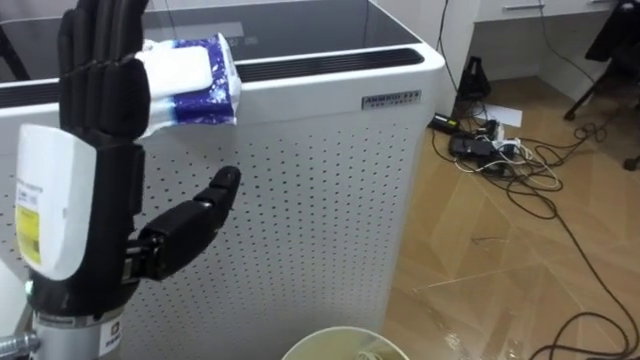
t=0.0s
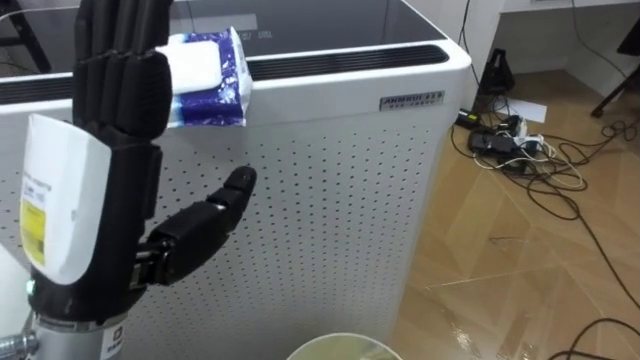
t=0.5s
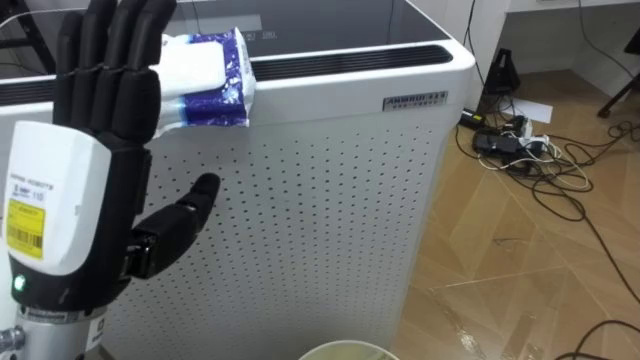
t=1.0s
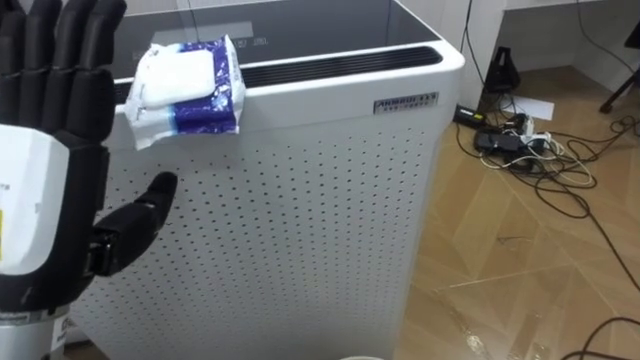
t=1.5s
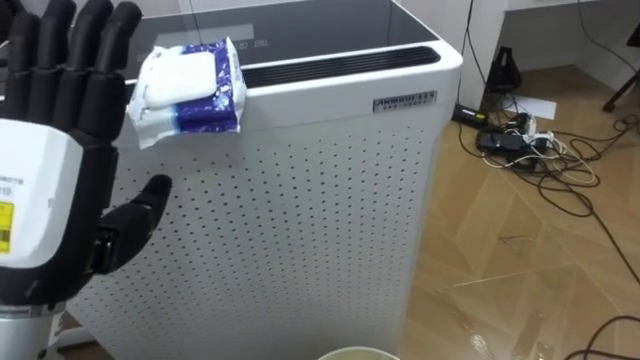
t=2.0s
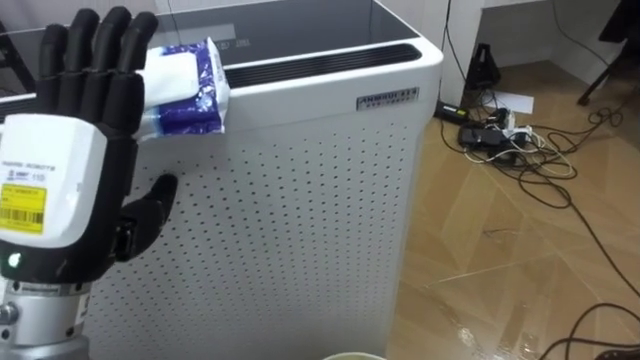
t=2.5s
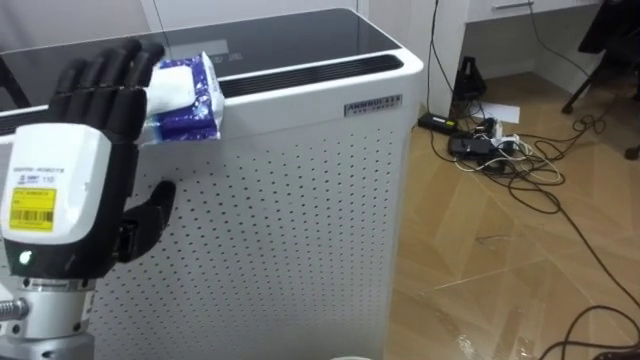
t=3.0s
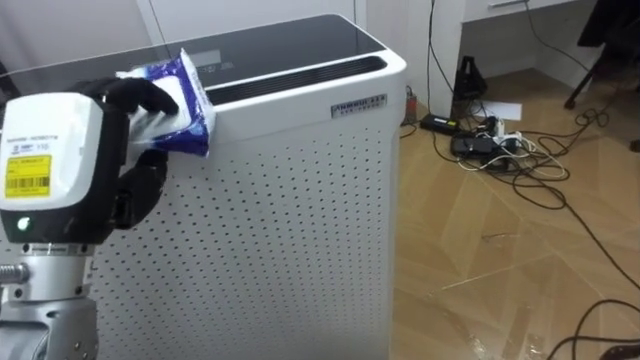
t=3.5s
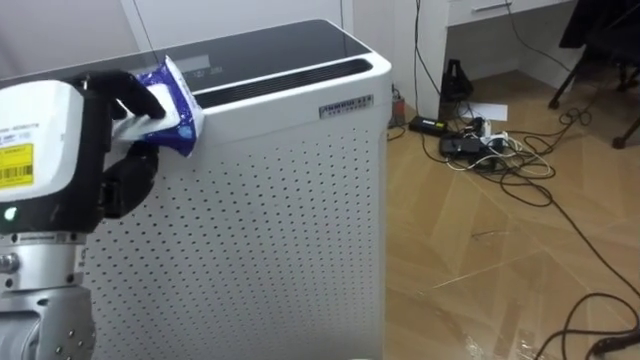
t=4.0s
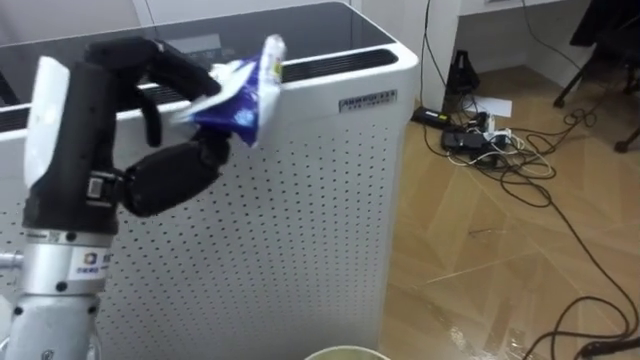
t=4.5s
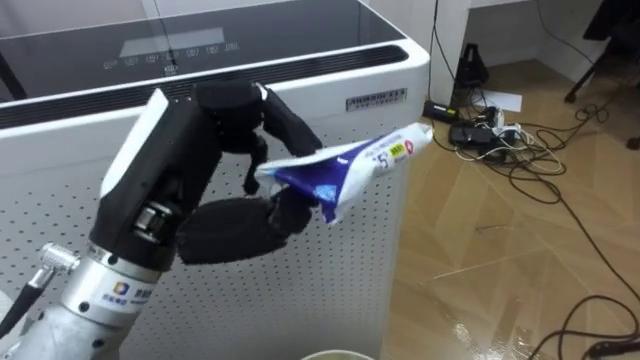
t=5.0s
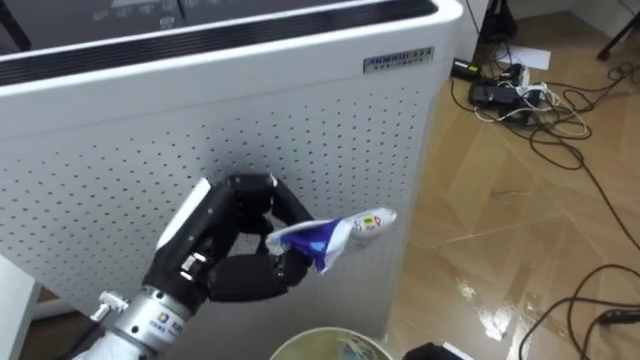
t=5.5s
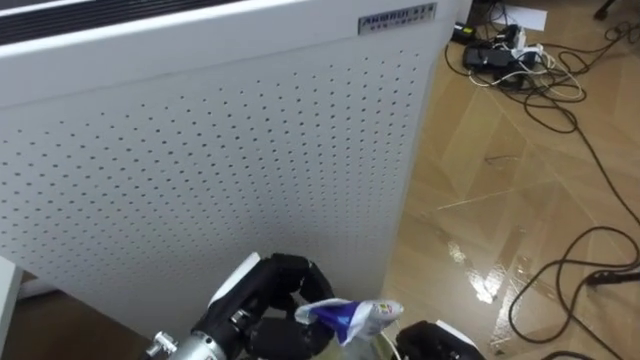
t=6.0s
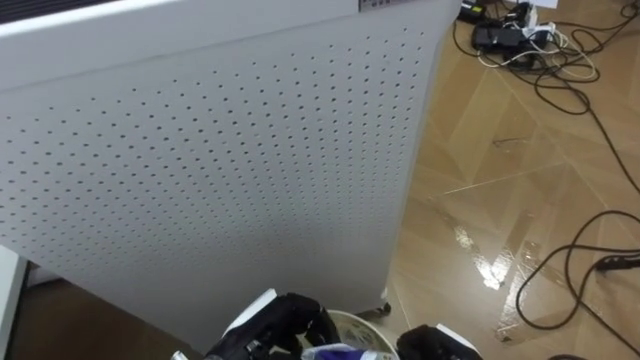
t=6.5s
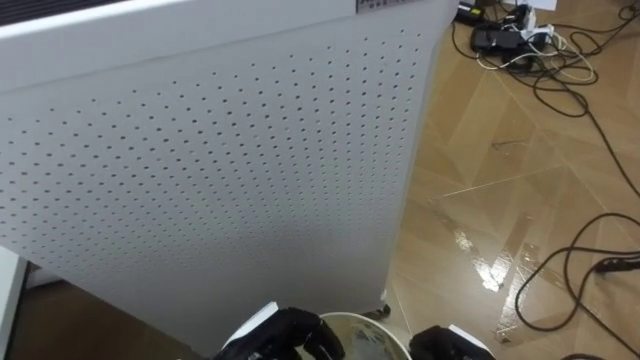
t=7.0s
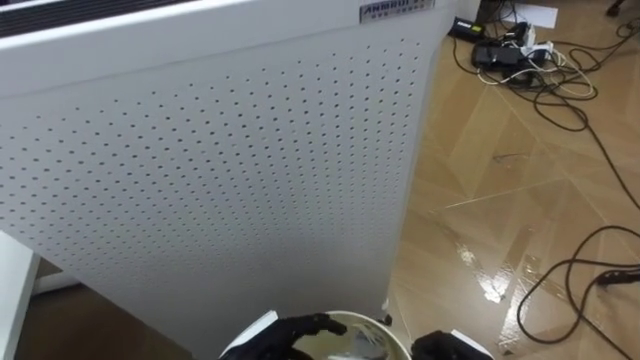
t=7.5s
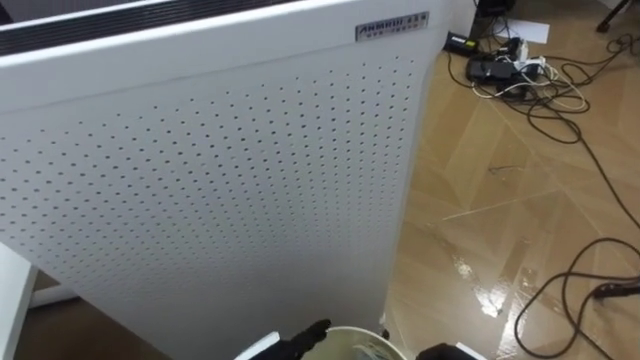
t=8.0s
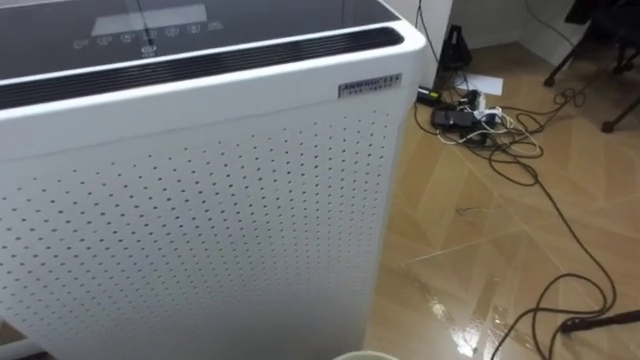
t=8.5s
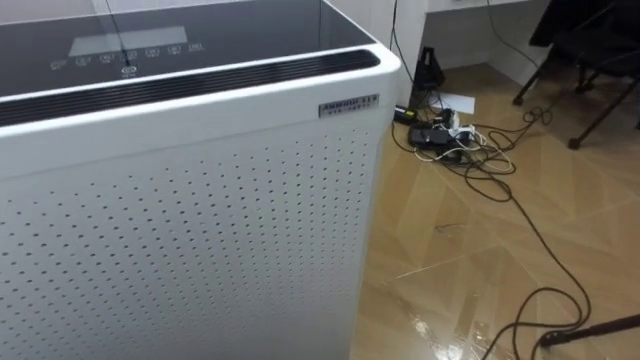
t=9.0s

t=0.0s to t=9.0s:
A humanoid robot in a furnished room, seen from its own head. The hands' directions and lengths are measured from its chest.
Task of the whole recording: Pick up the light blue package, the candy box, and the dark blue package separately, and put them into the trash can held in your right hand.
t=2.0s to t=4.5s: The left hand closes.
t=4.5s to t=7.0s: The left hand travels downward by about 30 cm.

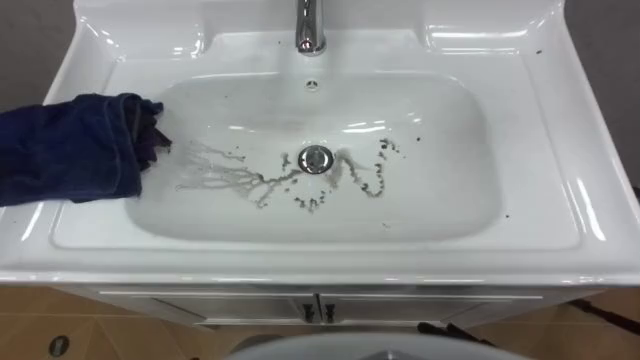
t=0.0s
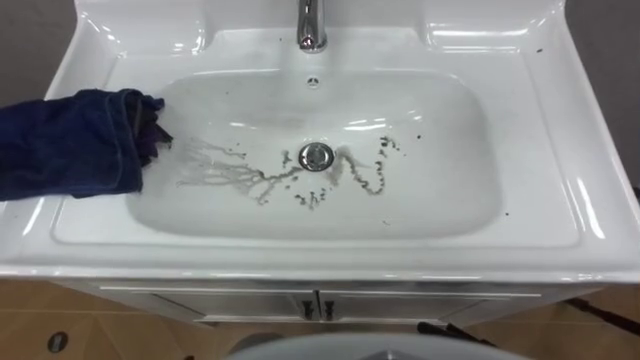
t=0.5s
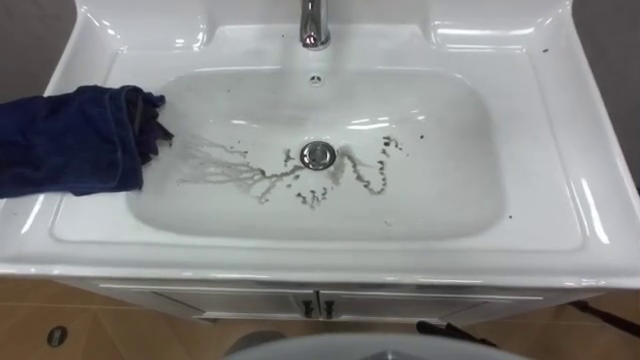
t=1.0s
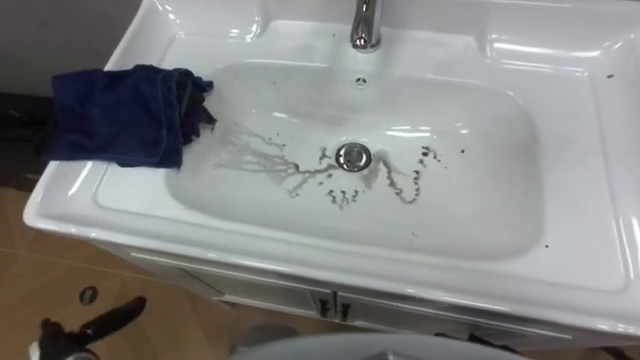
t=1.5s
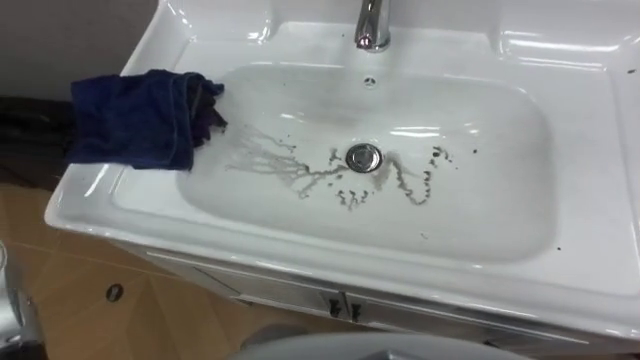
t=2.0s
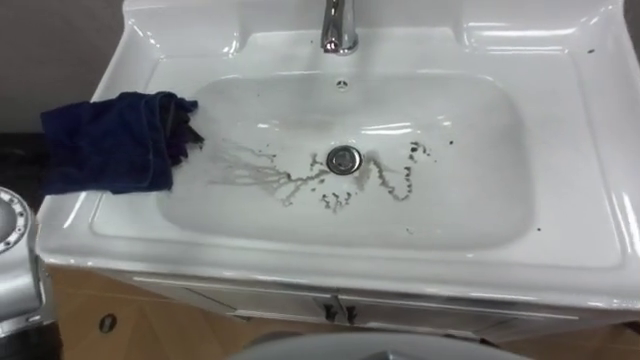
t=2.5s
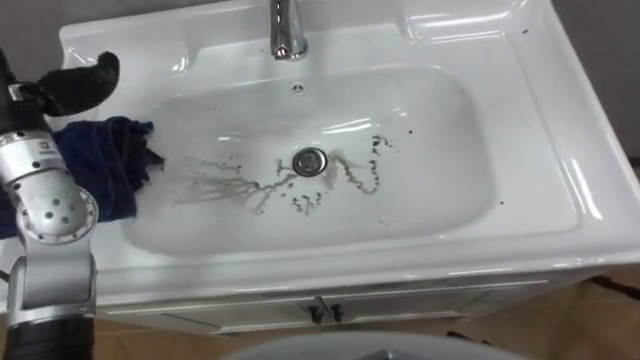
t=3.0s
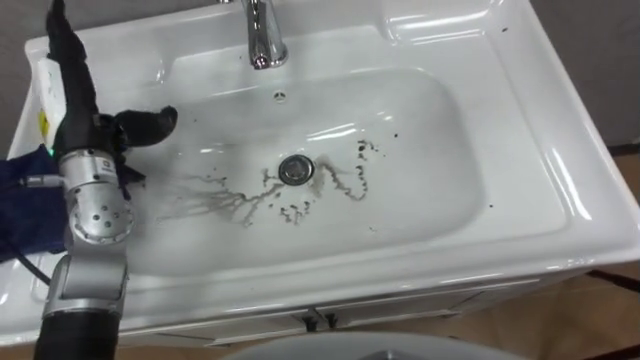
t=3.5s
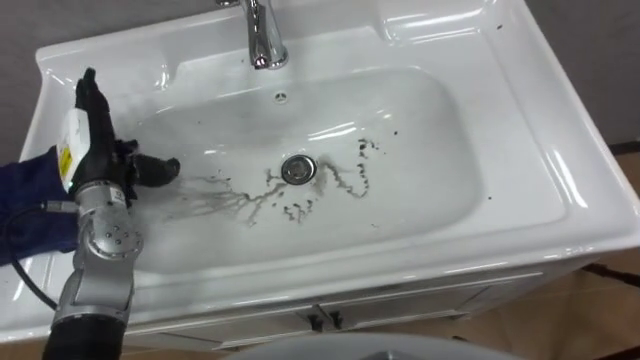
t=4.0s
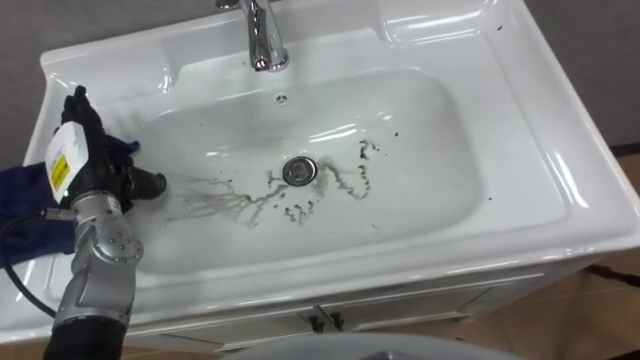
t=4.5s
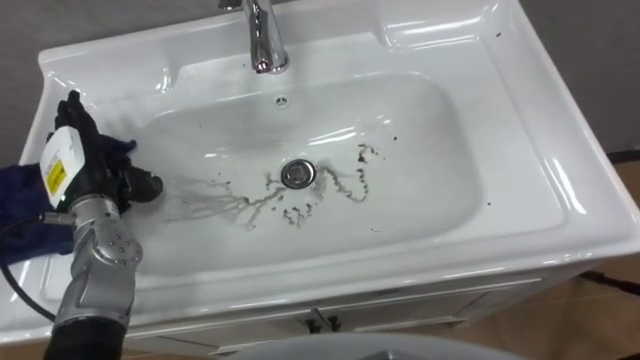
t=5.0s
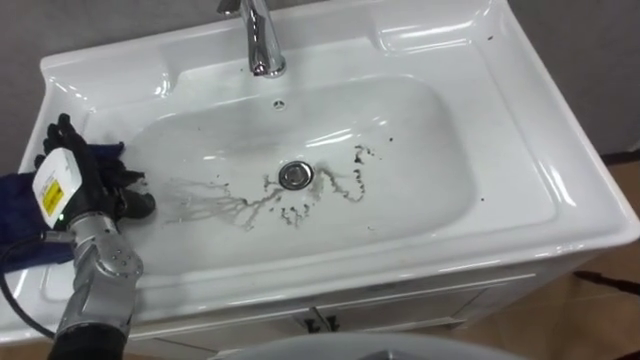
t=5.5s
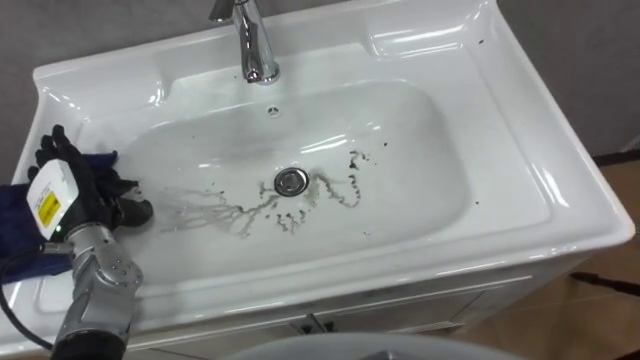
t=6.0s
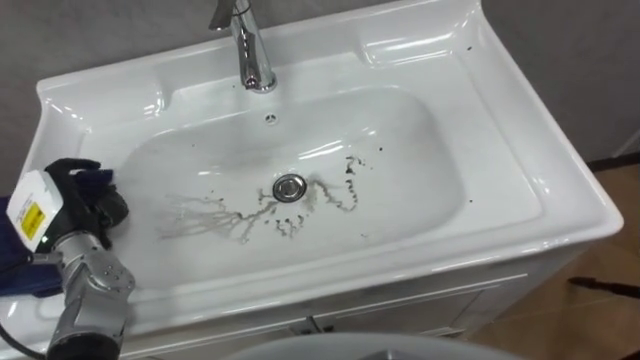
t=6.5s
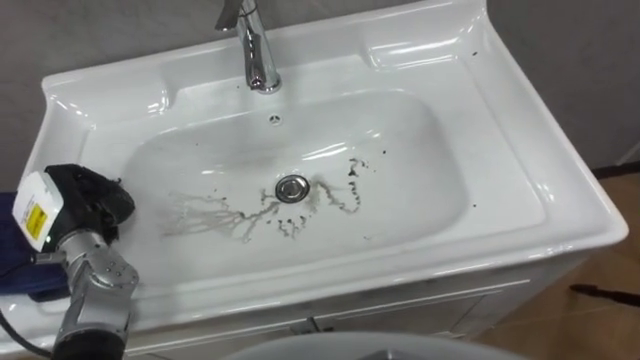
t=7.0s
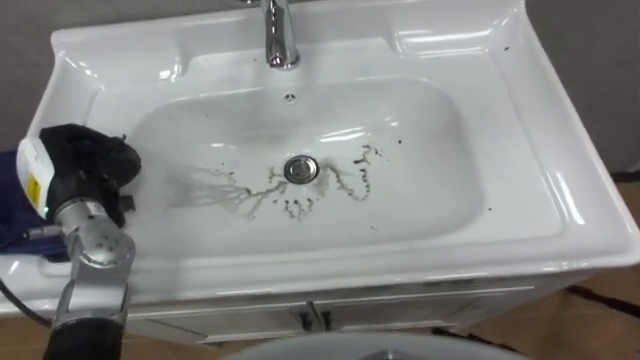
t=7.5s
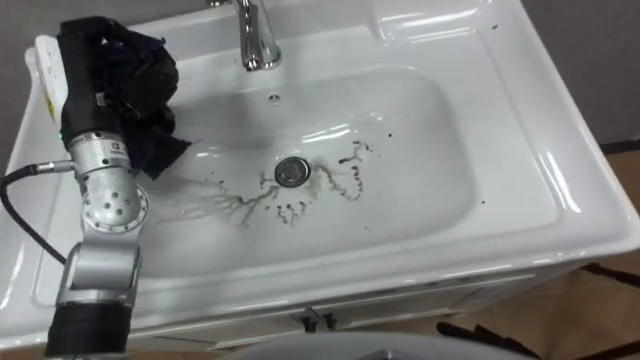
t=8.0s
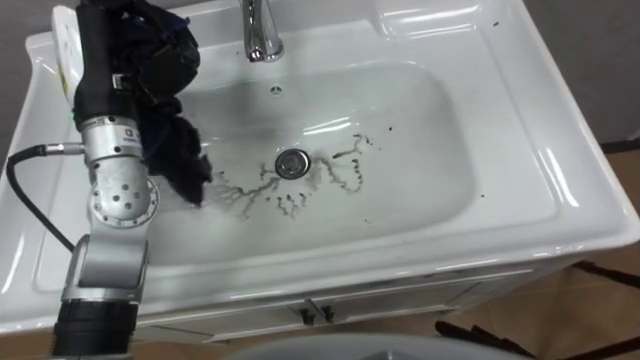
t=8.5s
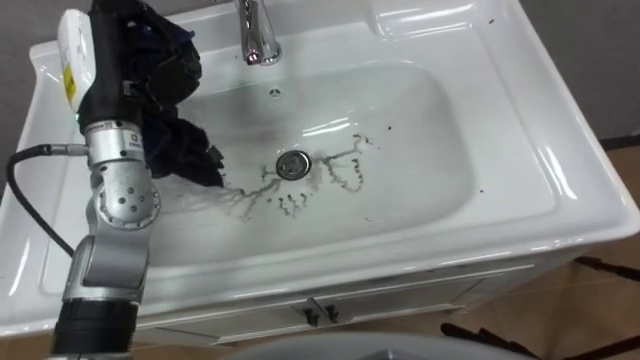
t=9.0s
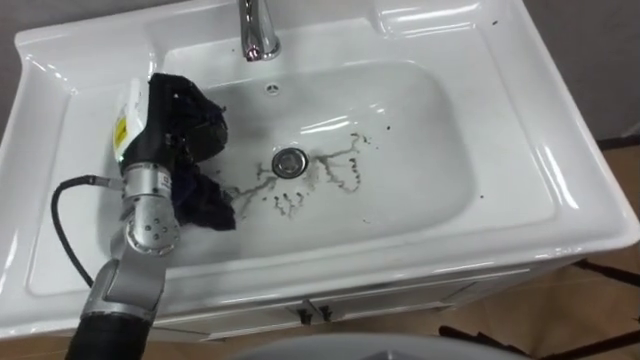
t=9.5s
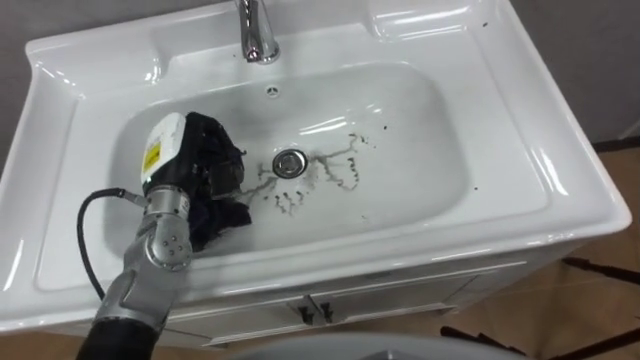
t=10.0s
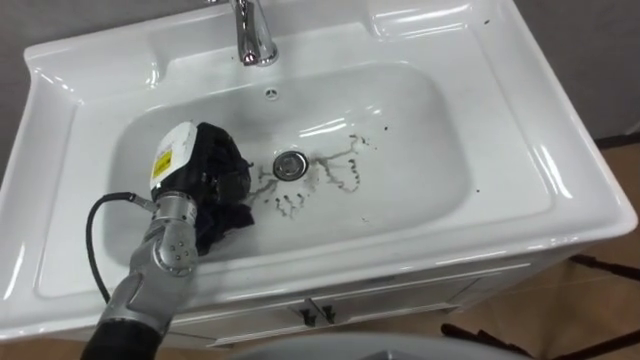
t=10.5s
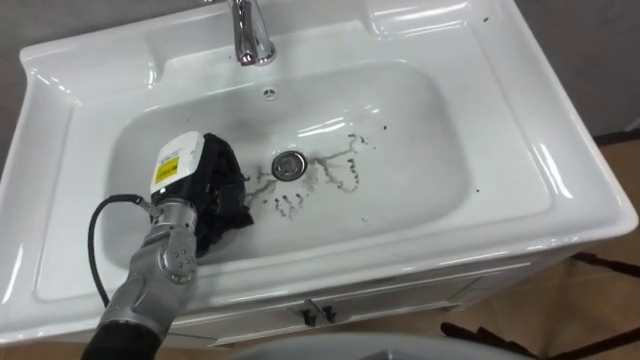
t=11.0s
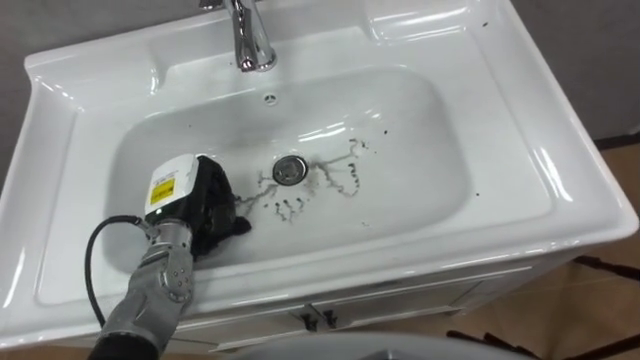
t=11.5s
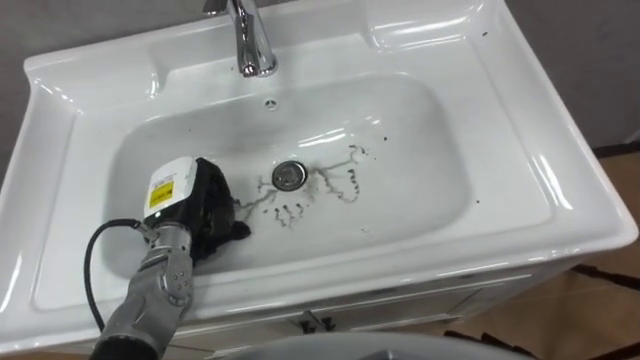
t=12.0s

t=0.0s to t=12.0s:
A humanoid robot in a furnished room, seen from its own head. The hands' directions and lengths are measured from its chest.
Task of the whole recording: Use the cloth on the right to wipe away the black stain in the sink.
t=4.0s to t=6.0s: The left hand heads backward, covering some 5 cm.
t=6.0s to t=8.0s: The left hand heads upward, forward and to the right, covering about 20 cm, and closes its fingers.
t=8.0s to t=10.0s: The left hand is displaced downward and to the right by approximately 15 cm.
t=10.0s to t=12.0s: The left hand is displaced downward by some 5 cm.
